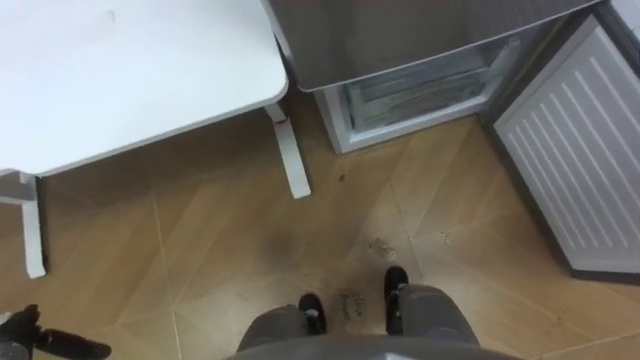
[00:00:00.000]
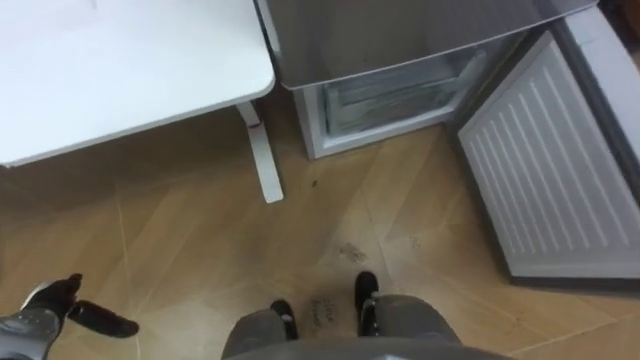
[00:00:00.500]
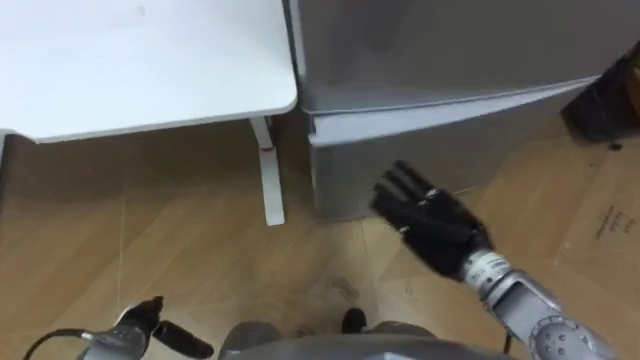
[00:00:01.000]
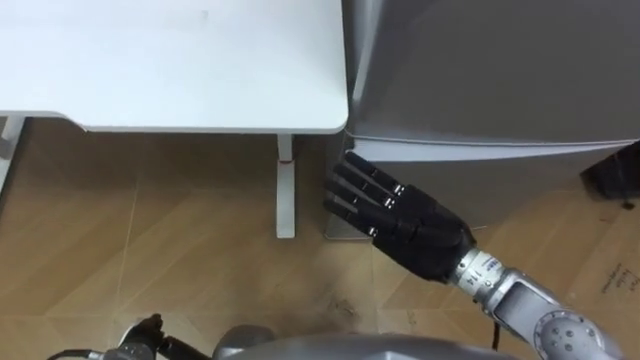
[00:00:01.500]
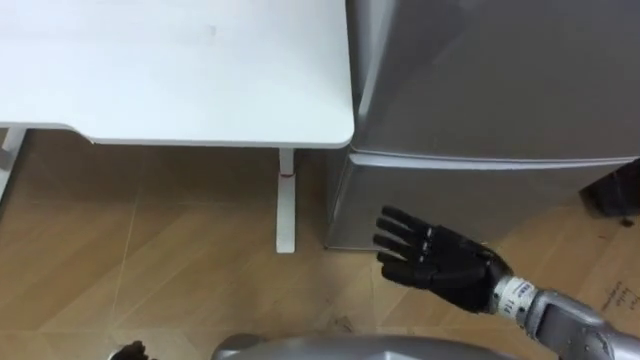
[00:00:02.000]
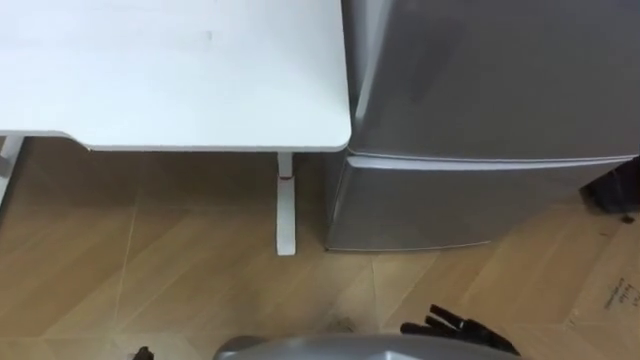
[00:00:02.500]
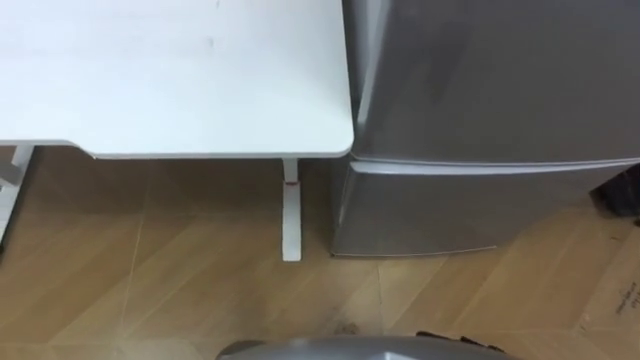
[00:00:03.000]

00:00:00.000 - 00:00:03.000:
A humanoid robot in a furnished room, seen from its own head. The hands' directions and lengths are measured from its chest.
Task of the whole recording: Place the drink on the table on the bottom shelf of the refrigerator, then close the drawer and the refrigerator door.
00:00:00.000 - 00:00:01.500: The left hand is displaced to the right and downward by some 15 cm.
